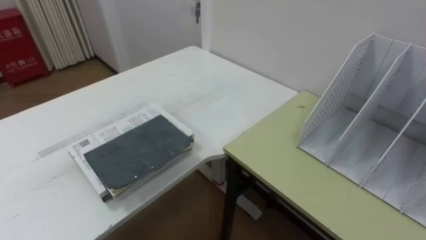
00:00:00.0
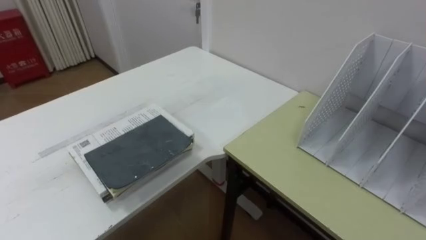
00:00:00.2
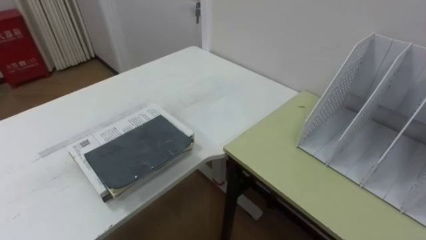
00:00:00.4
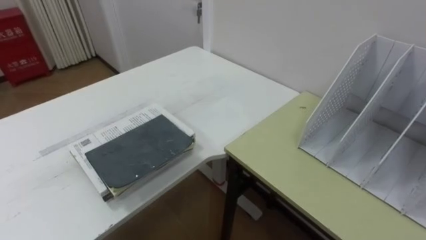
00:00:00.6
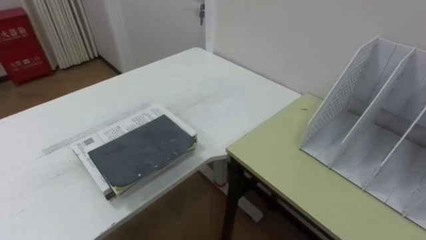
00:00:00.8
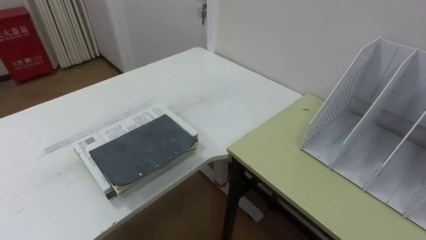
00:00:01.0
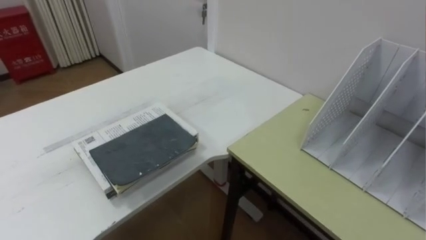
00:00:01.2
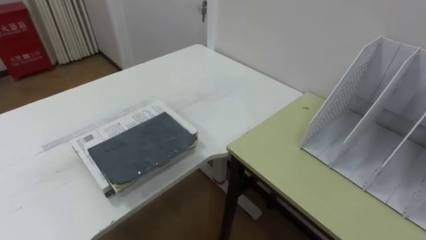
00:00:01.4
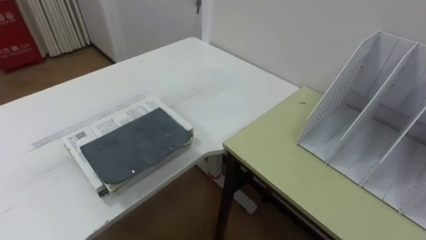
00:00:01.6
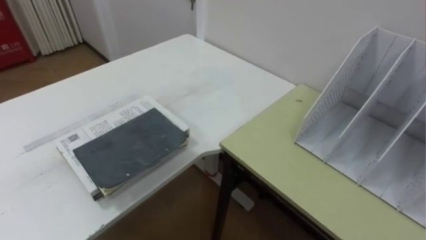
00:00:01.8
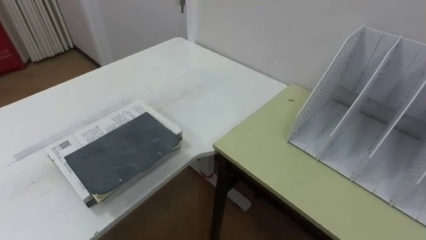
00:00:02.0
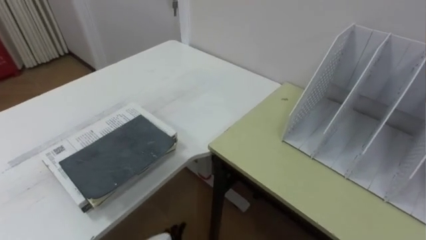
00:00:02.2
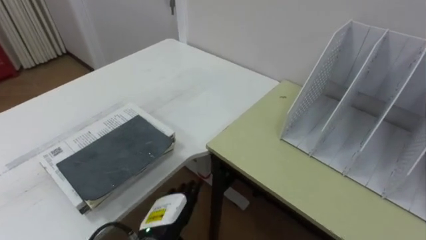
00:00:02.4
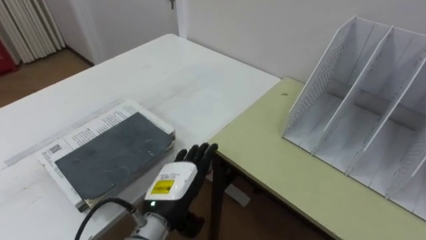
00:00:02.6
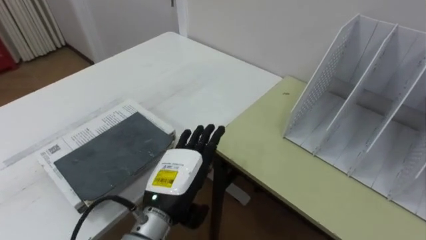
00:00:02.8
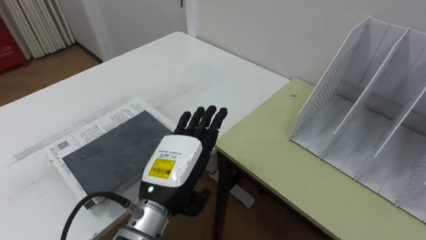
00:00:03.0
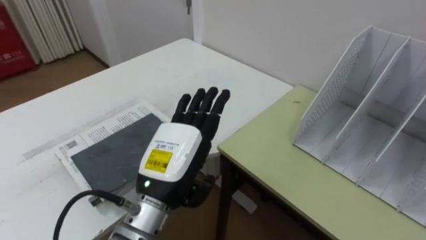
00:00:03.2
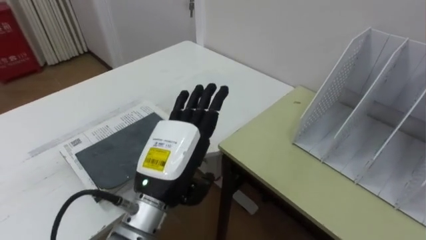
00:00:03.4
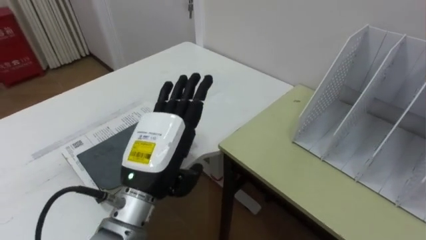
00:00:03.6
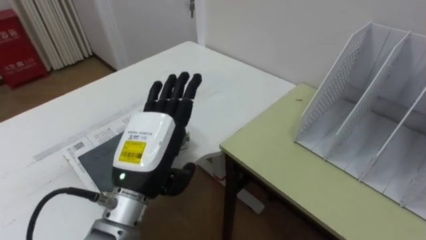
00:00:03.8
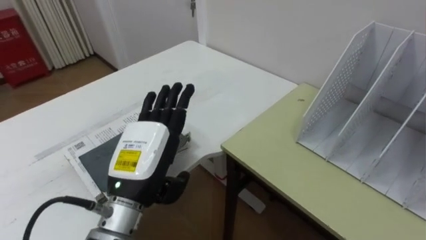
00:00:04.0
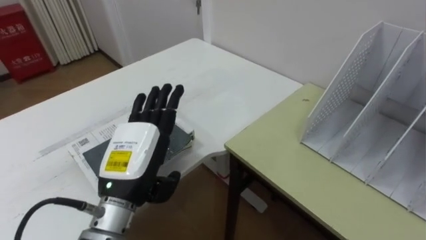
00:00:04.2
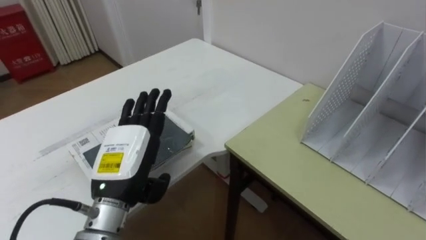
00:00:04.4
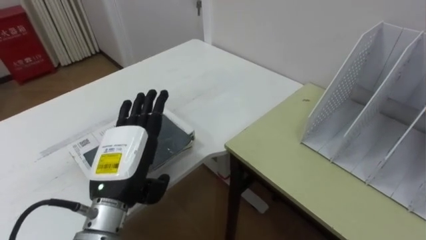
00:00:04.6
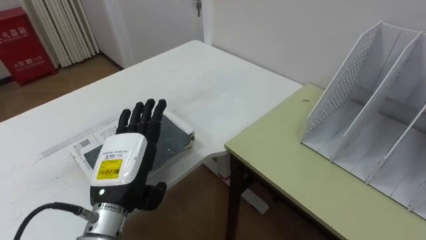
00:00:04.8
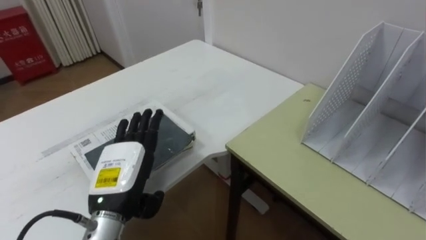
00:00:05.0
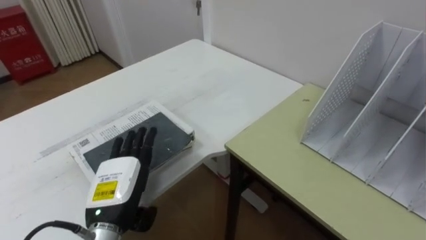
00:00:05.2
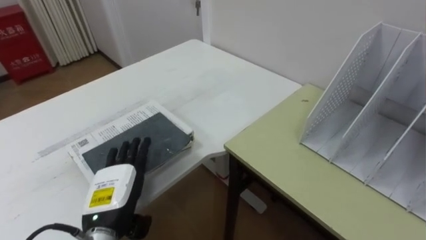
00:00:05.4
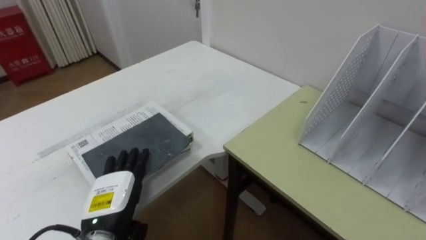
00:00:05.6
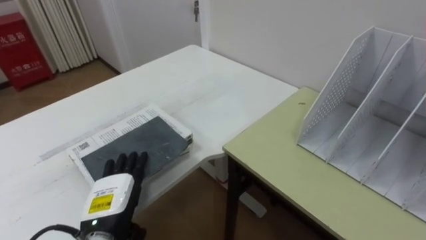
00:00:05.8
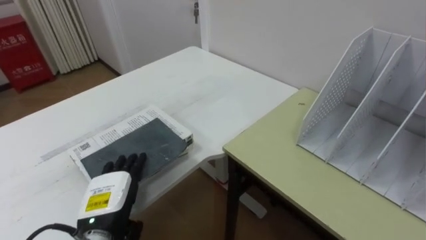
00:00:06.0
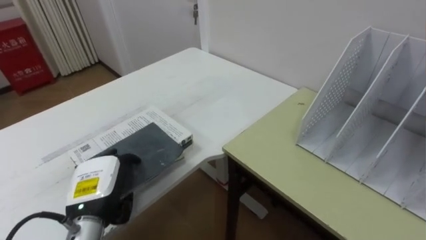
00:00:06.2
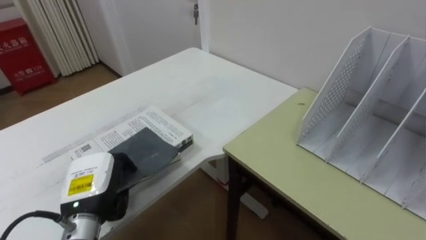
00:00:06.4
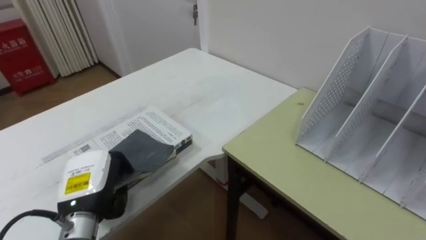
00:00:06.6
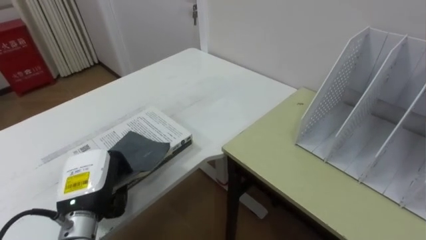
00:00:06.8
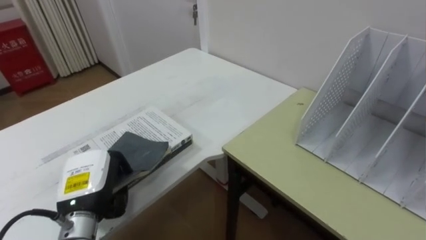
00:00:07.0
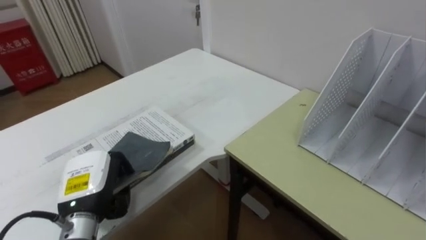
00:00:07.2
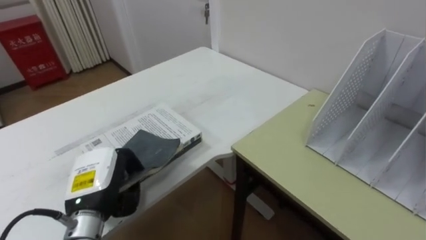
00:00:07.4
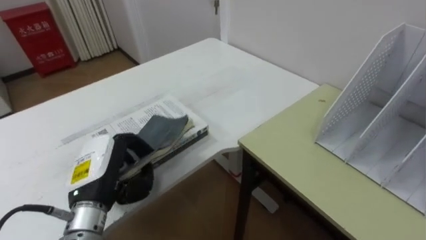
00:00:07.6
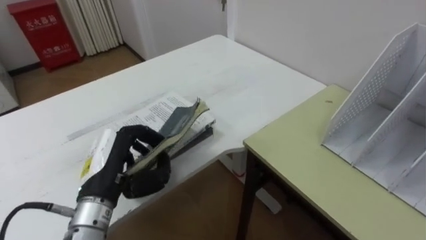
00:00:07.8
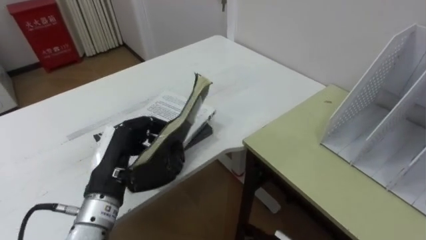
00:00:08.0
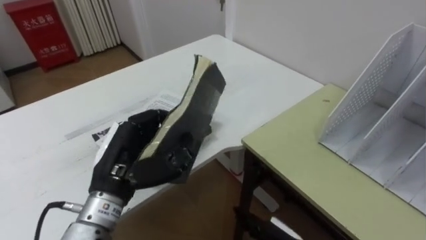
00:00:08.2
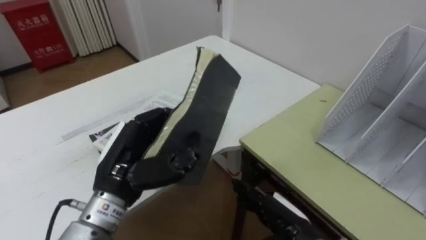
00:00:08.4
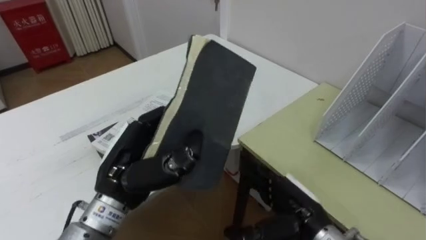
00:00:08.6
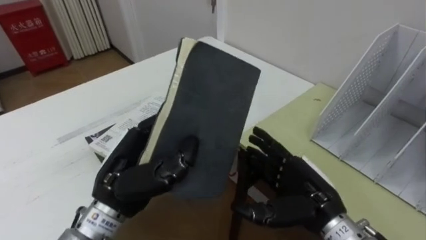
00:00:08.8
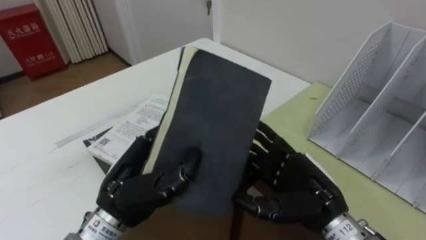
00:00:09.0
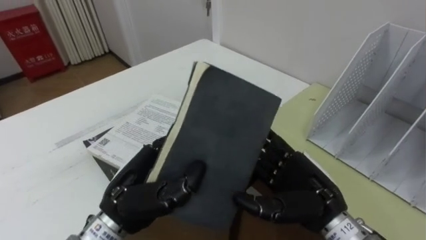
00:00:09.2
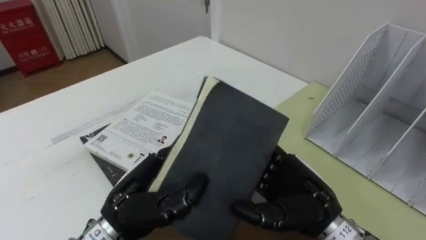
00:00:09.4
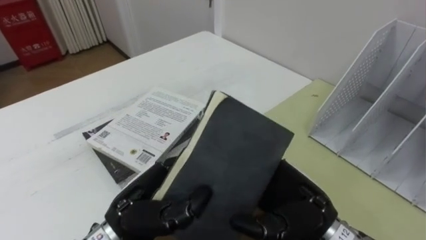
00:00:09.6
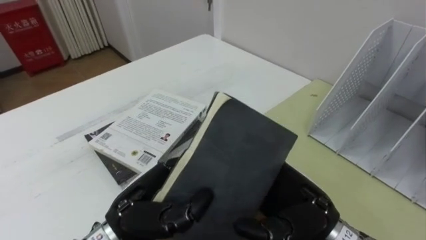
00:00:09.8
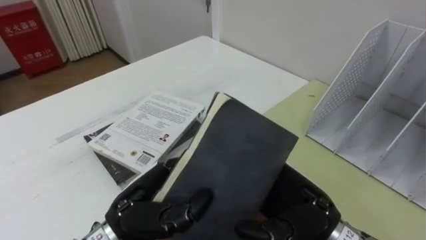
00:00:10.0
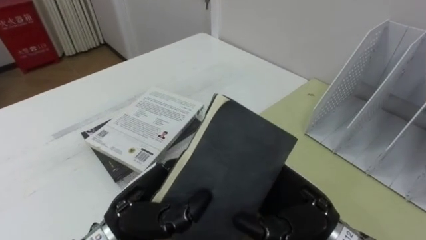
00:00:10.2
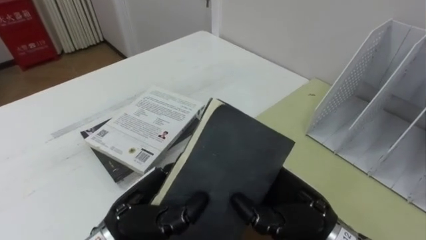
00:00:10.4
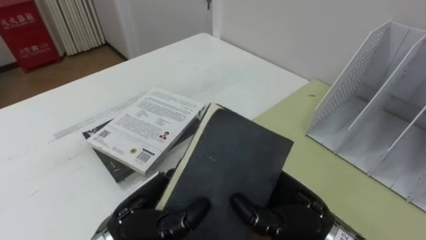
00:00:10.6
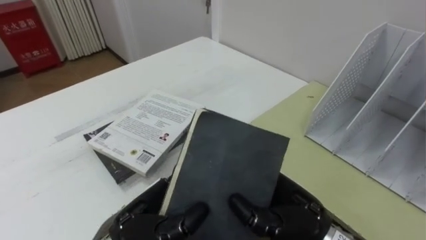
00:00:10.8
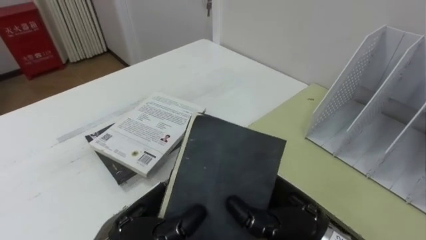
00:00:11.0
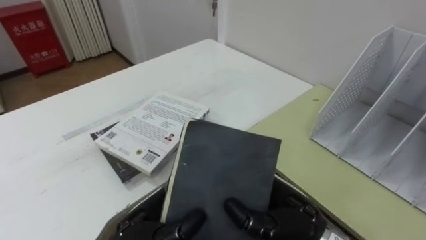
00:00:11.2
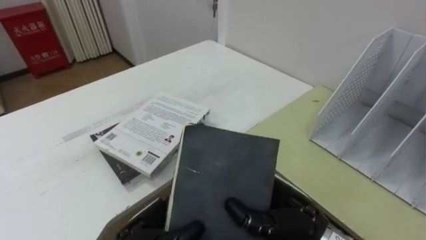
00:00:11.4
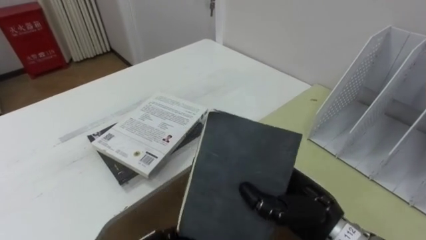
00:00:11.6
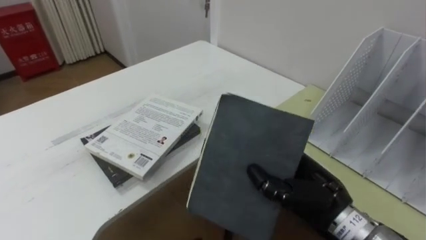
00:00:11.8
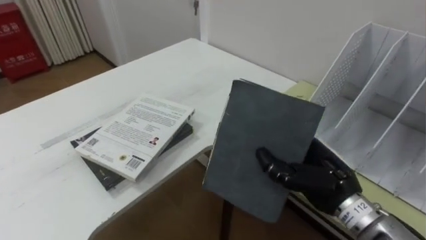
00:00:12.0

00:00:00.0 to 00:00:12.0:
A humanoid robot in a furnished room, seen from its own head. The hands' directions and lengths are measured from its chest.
Task of the whole recording: Put the books on the table onto the bookshelf.
00:00:03.0 to 00:00:04.4: The left hand shifts roughly 5 cm to the left.
00:00:04.4 to 00:00:06.0: The left hand is displaced downward by about 10 cm.
00:00:06.0 to 00:00:07.6: The left hand heads upward, covering about 5 cm, and closes up.
00:00:07.6 to 00:00:09.0: The left hand is displaced to the right by some 5 cm.
00:00:09.0 to 00:00:10.4: The right hand closes.
00:00:10.4 to 00:00:12.0: The right hand heads to the right, covering about 5 cm.

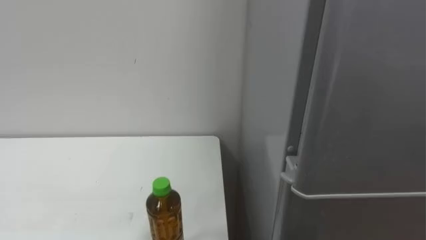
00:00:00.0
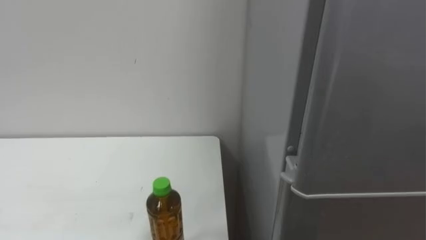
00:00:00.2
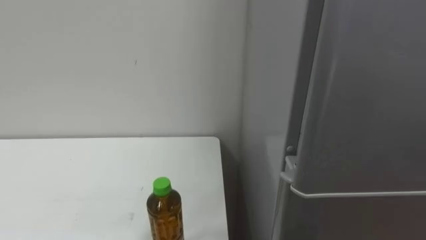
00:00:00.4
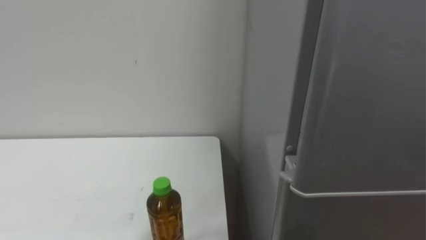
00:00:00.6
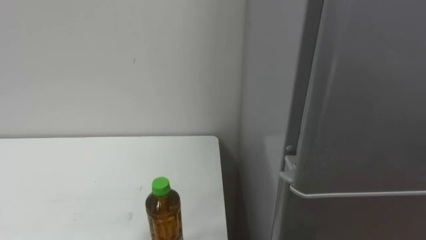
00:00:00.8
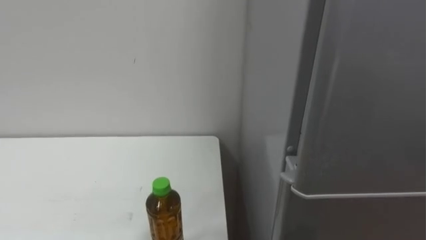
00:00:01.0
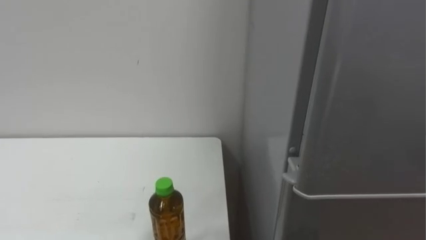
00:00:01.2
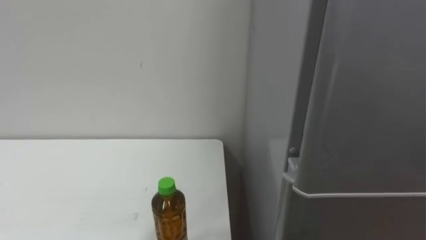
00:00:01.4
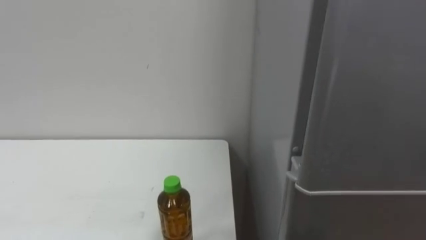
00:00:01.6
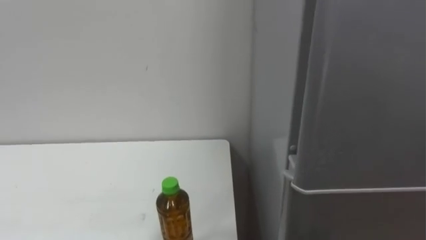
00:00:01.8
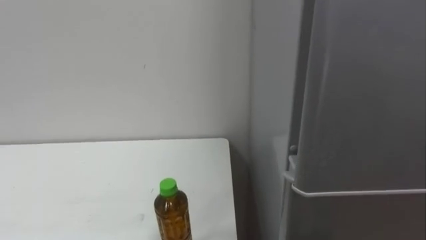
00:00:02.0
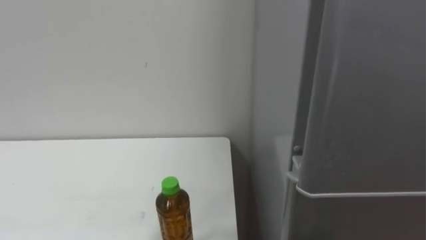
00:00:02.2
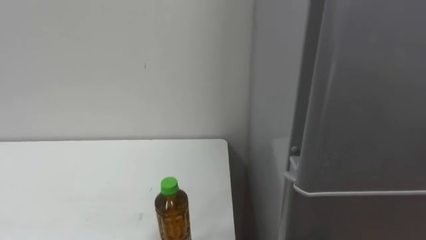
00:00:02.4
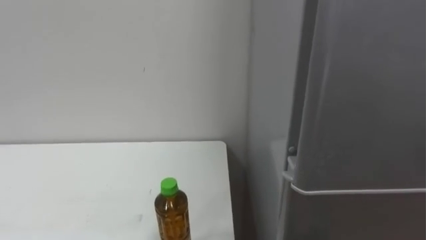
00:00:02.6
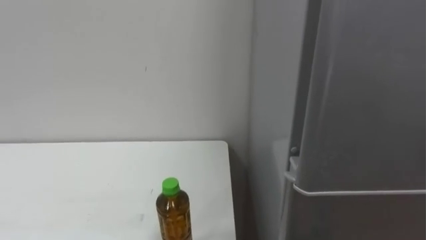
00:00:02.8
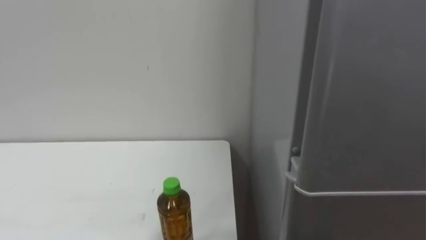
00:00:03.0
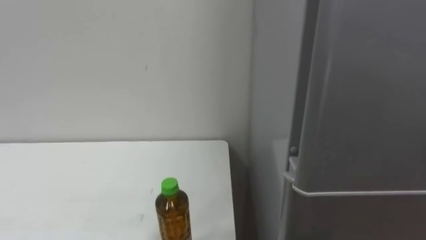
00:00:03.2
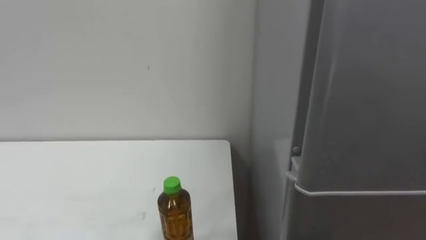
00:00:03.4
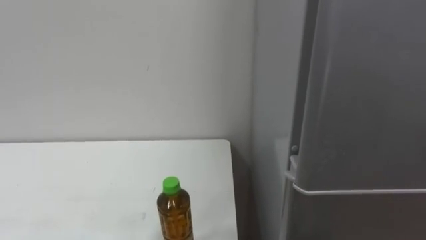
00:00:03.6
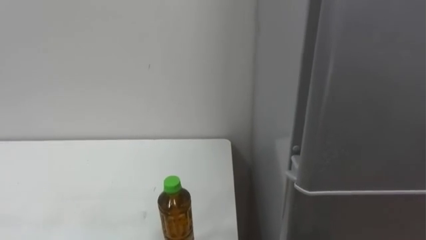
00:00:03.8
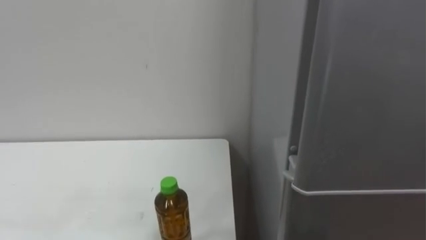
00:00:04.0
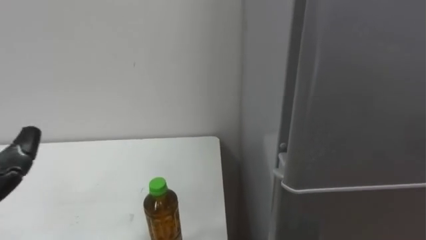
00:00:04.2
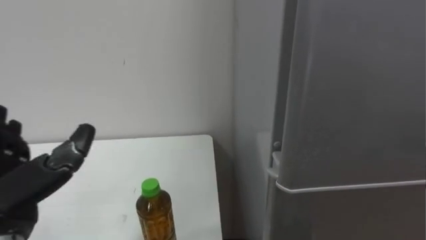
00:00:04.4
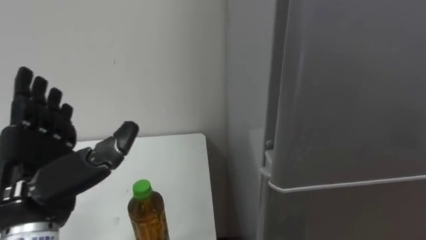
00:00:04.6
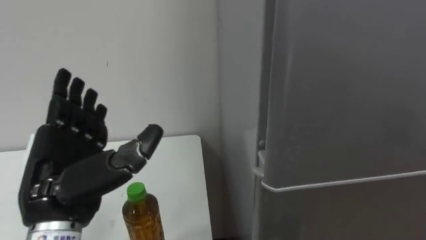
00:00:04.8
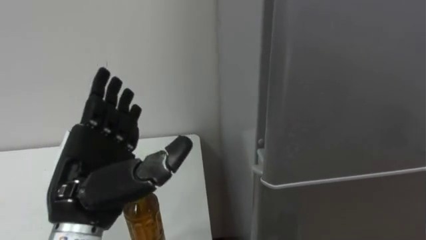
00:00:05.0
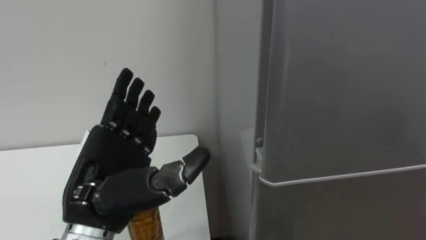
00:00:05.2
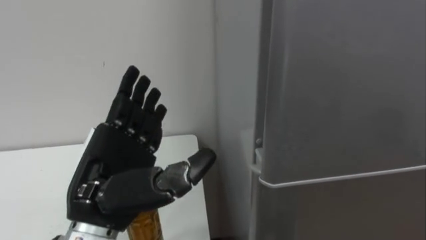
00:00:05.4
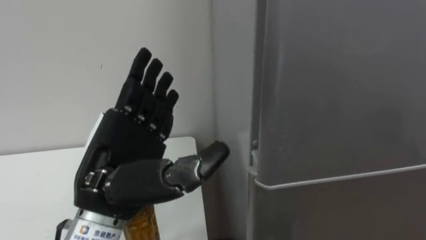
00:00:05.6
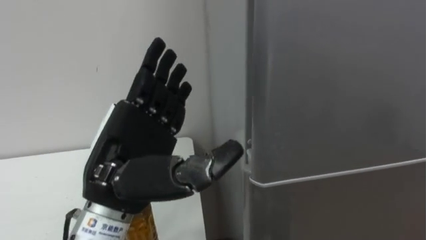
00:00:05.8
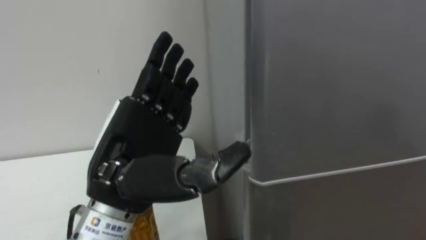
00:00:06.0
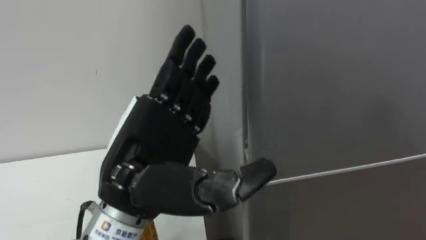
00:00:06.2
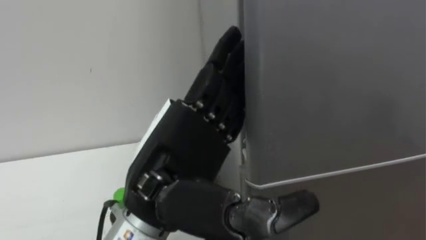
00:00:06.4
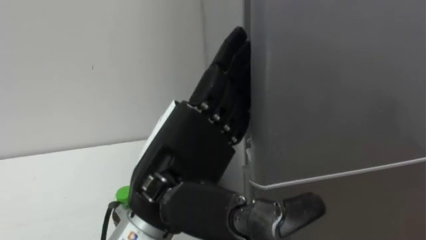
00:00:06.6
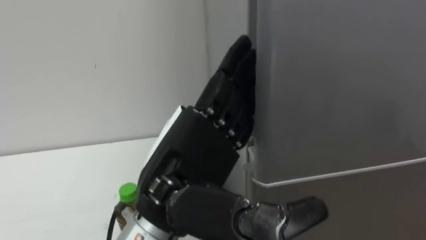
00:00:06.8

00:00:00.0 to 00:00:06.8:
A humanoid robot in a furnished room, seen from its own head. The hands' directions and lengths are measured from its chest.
Task of the whole recording: Open the upper refrigerator door, put the drink from the table into the refrigerator, and then close the refrigerator door.
00:00:05.4 to 00:00:06.8: The left hand is displaced to the right by roughly 10 cm.
